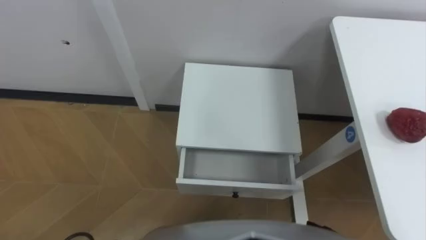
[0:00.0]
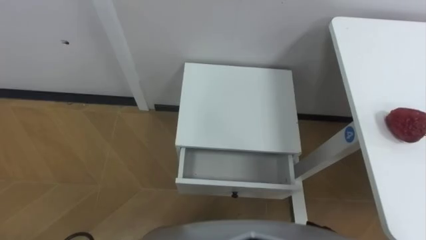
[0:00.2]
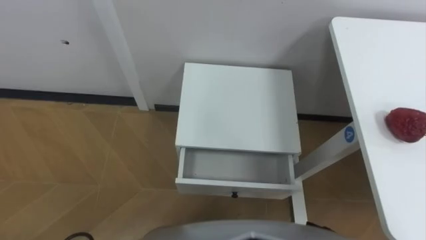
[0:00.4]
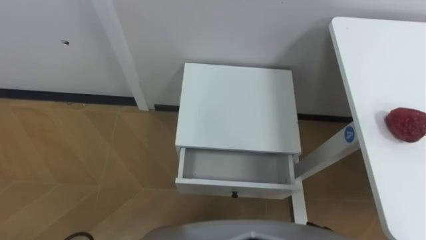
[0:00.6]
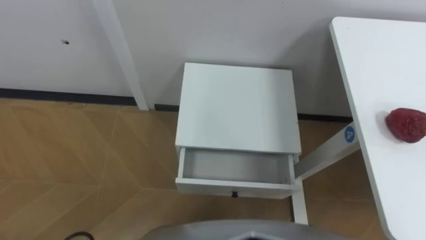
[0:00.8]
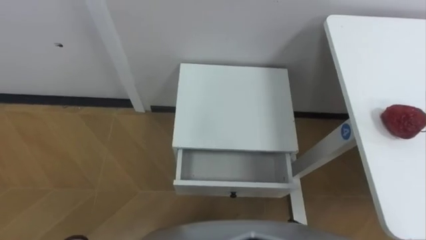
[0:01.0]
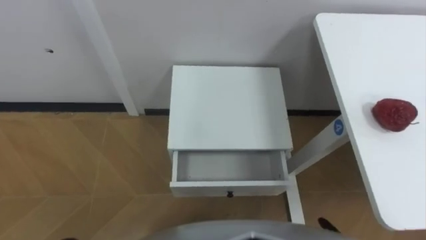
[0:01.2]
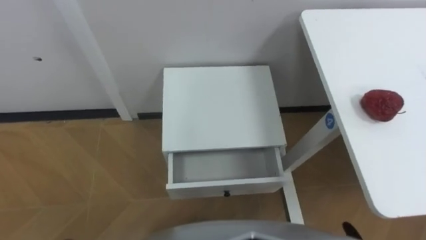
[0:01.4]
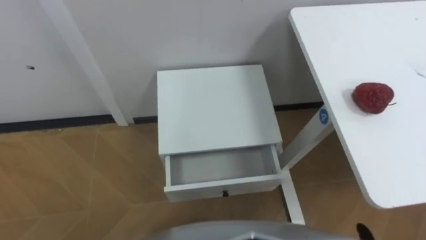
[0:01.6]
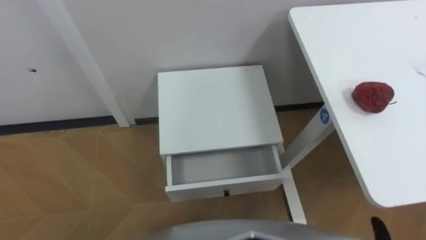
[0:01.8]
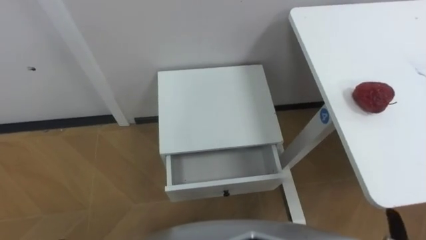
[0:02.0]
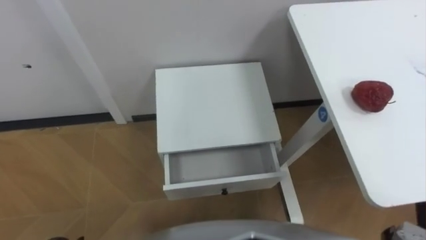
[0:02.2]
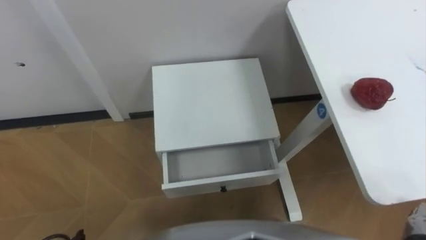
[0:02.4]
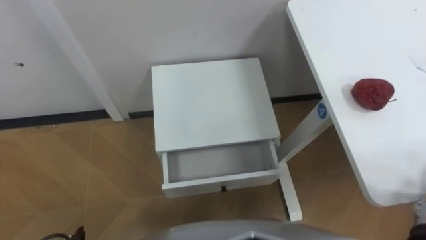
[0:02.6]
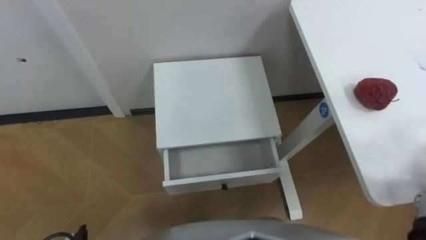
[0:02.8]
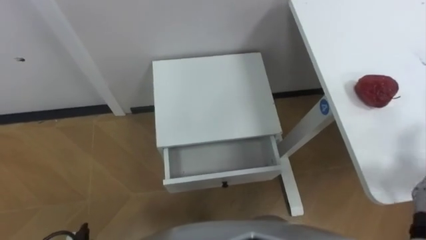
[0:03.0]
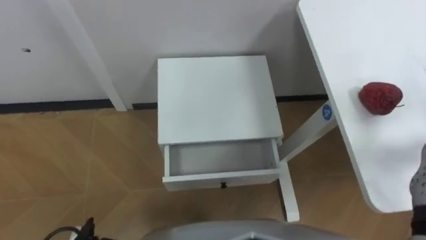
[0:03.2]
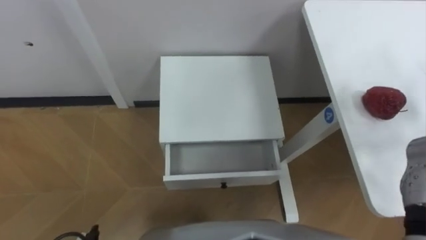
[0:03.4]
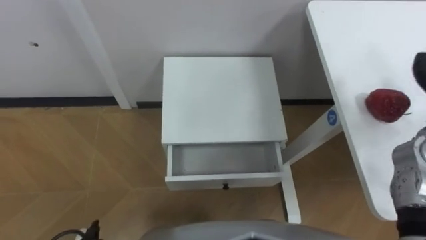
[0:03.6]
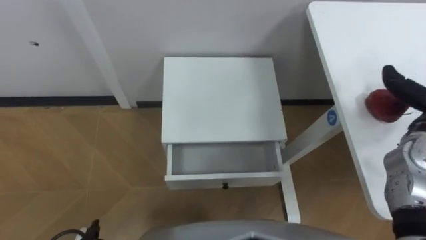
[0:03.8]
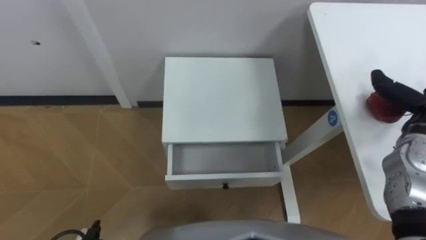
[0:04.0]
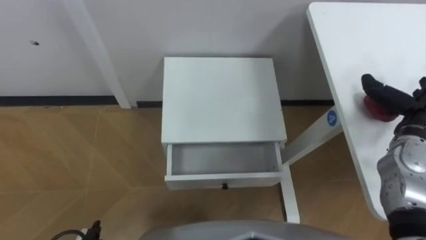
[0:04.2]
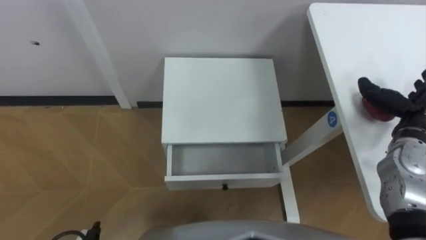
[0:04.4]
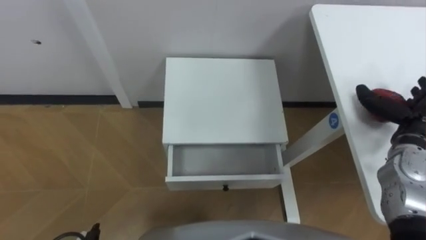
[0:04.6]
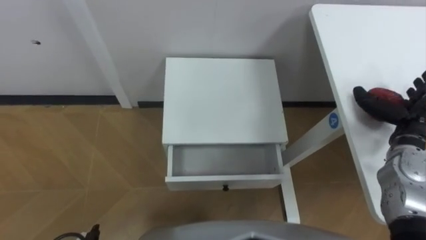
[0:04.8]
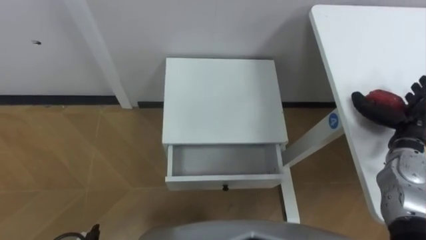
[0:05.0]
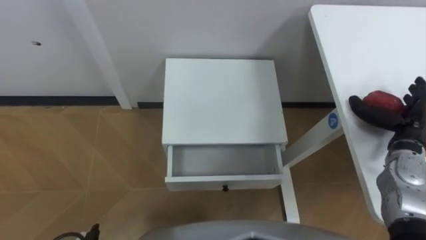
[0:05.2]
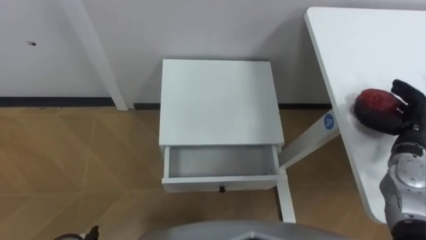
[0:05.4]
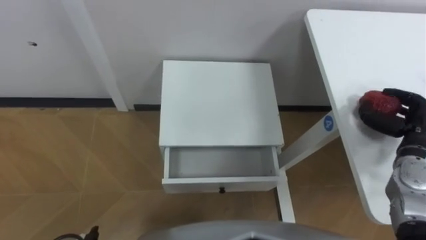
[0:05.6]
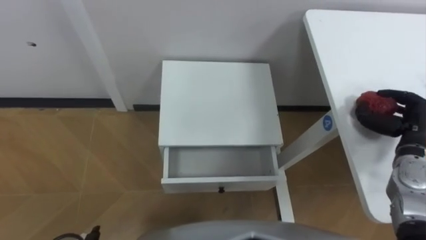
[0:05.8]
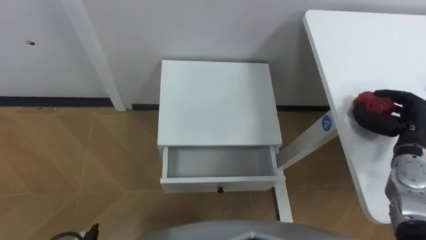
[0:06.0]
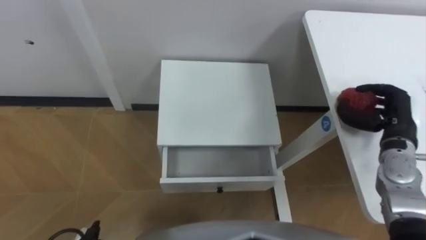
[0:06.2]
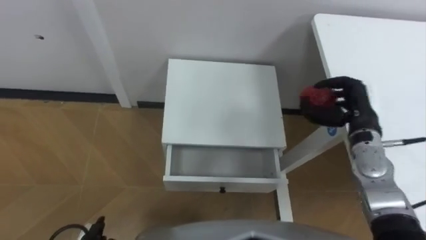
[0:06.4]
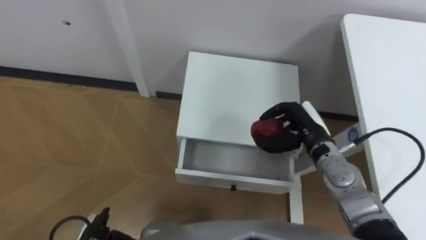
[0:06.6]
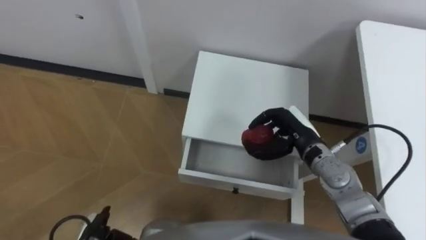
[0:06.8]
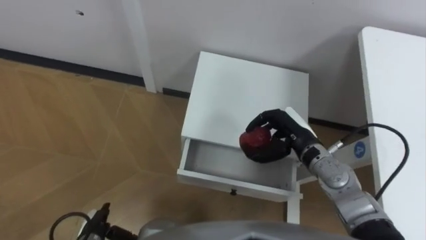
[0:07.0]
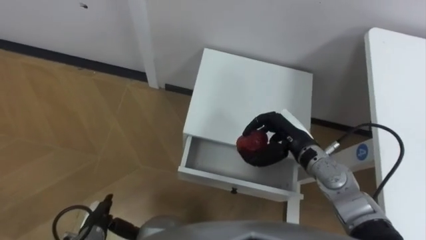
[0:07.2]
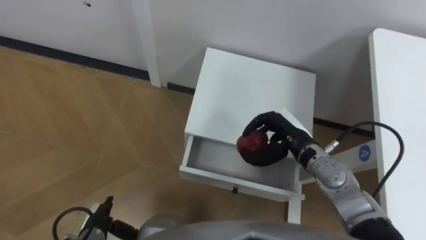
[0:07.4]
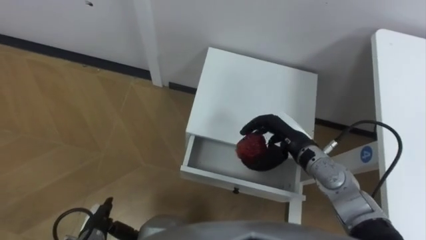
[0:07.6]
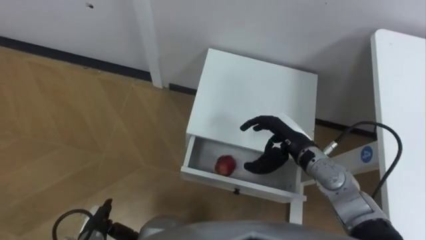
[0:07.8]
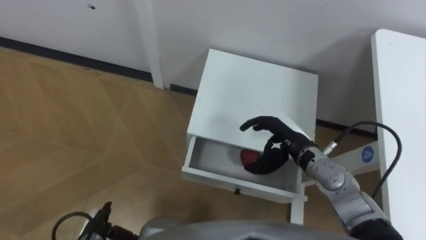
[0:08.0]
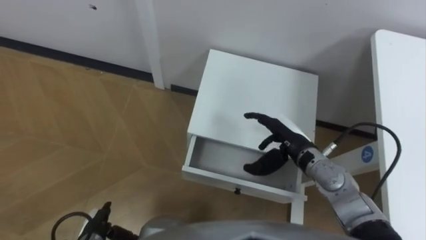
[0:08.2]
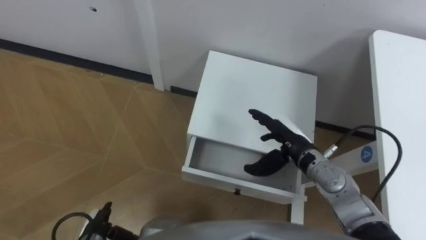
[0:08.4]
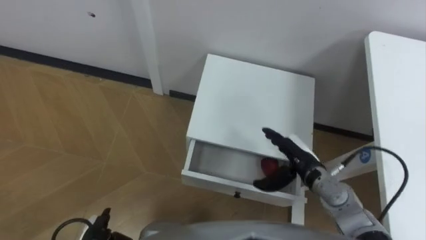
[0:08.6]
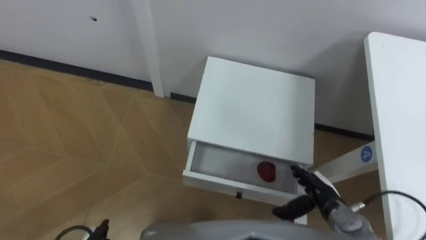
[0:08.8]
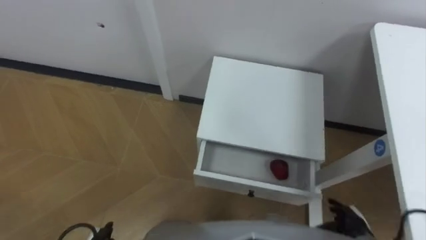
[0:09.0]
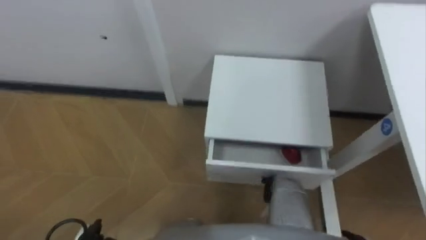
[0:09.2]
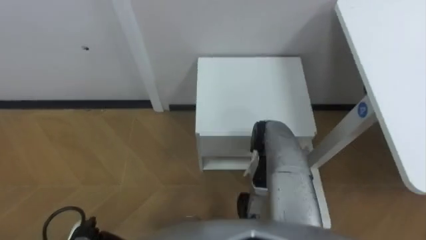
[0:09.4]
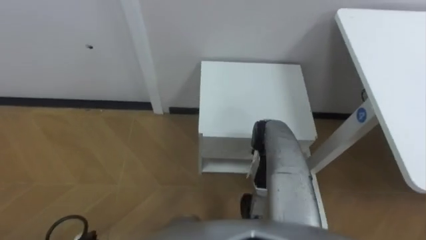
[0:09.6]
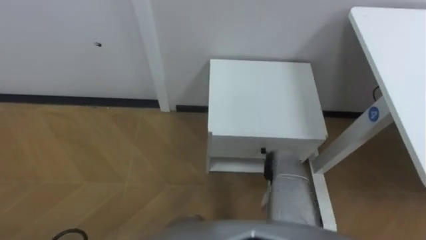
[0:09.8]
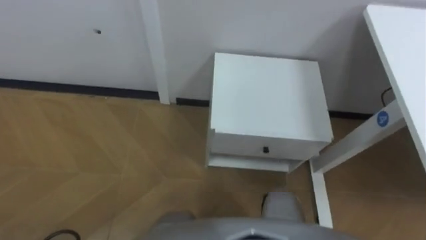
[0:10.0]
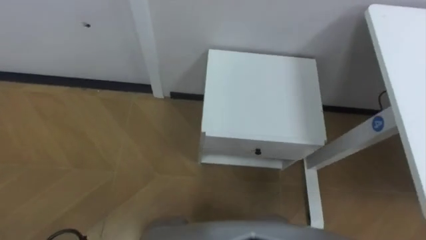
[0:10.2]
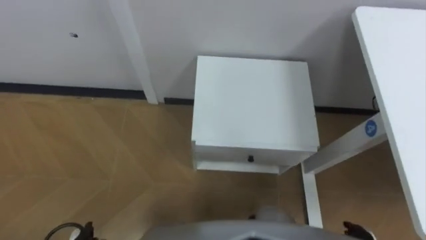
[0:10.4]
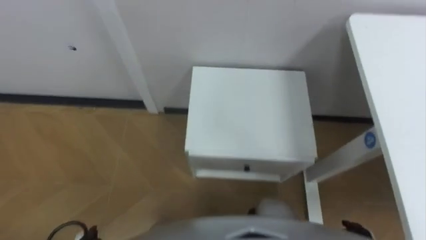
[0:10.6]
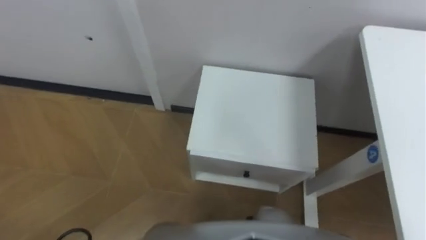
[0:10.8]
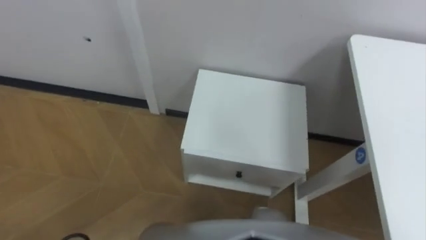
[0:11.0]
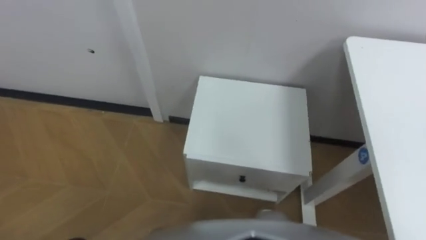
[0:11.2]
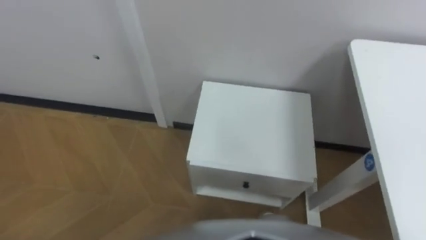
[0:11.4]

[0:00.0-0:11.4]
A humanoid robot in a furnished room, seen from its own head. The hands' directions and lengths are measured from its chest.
Task of the whole recording: Pick up the apple from the table, put it in the drawer, and close the drawer with leg.
0:04.2 to 0:05.6: The right hand closes.
0:05.6 to 0:07.2: The right hand travels to the left by approximately 20 cm.
0:07.2 to 0:08.6: The right hand moves some 5 cm, and opens up.

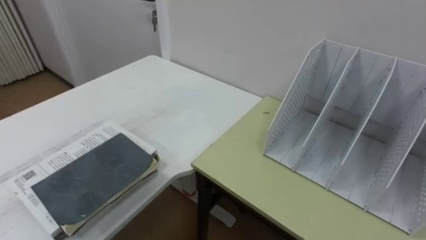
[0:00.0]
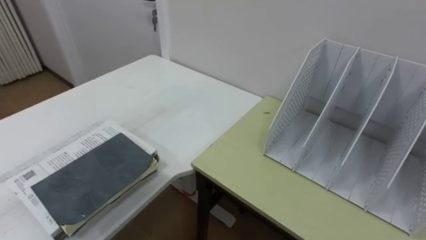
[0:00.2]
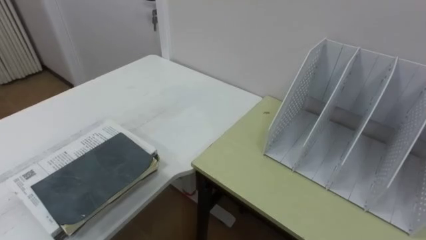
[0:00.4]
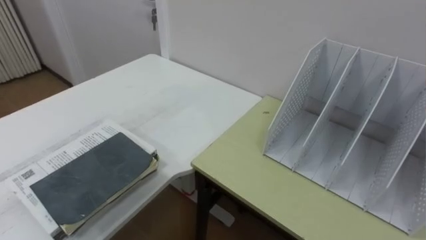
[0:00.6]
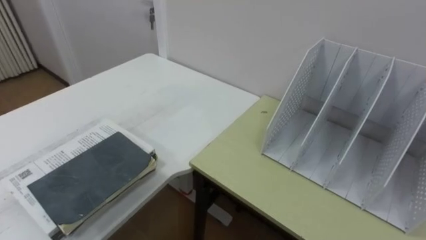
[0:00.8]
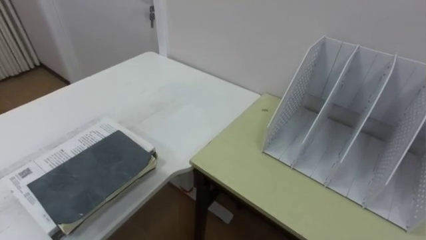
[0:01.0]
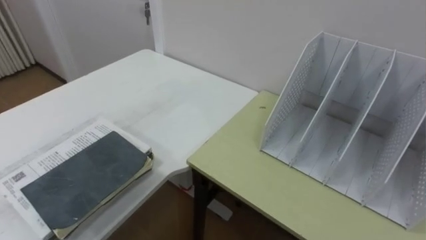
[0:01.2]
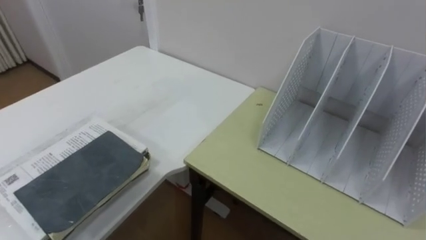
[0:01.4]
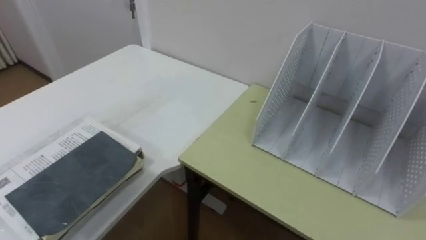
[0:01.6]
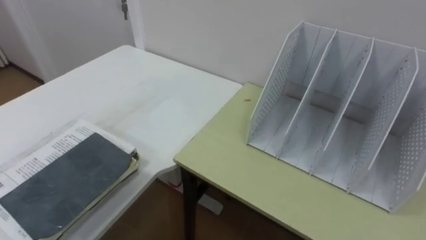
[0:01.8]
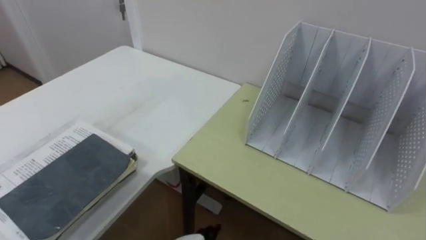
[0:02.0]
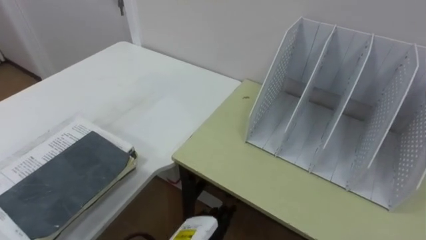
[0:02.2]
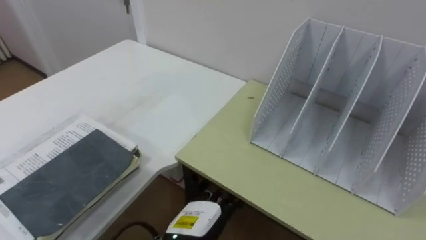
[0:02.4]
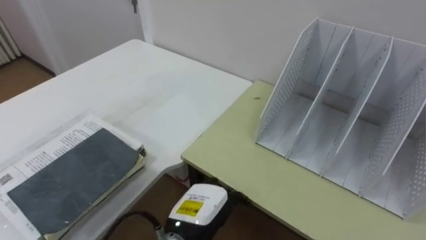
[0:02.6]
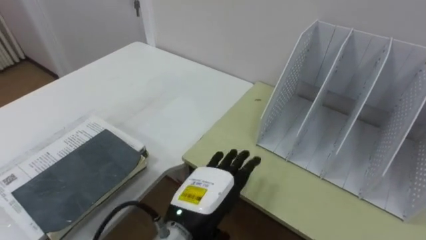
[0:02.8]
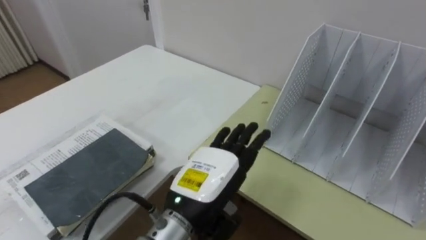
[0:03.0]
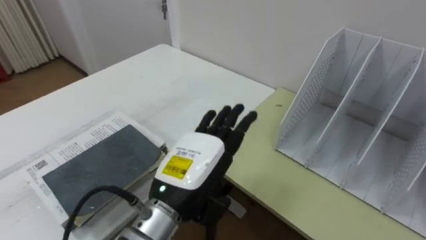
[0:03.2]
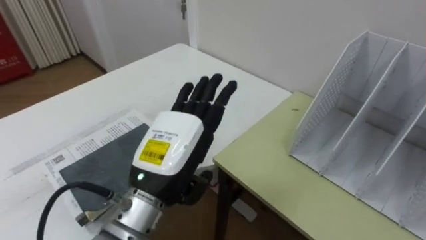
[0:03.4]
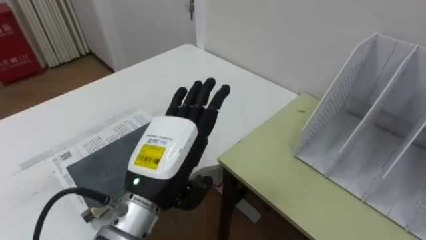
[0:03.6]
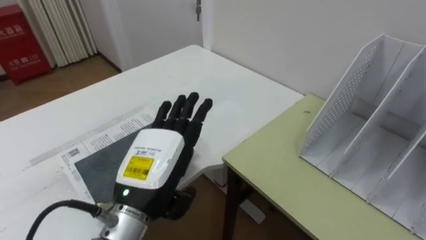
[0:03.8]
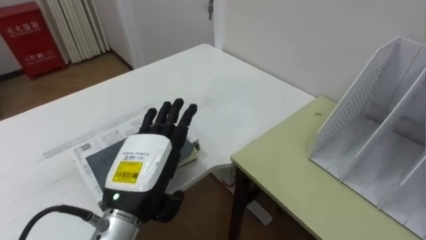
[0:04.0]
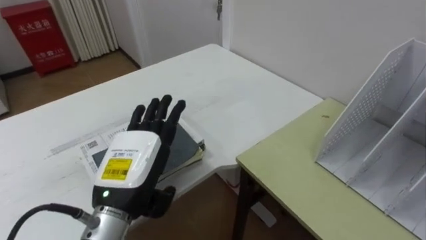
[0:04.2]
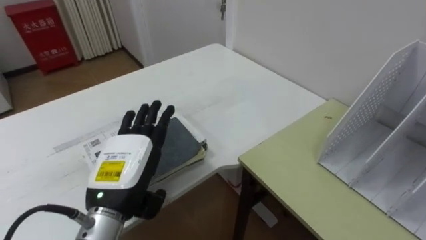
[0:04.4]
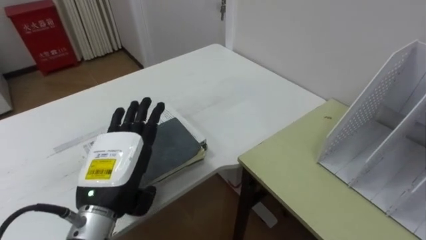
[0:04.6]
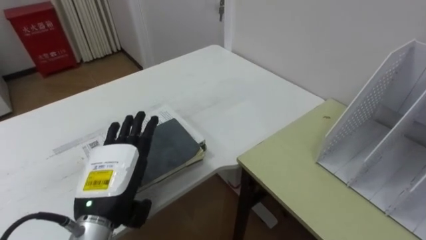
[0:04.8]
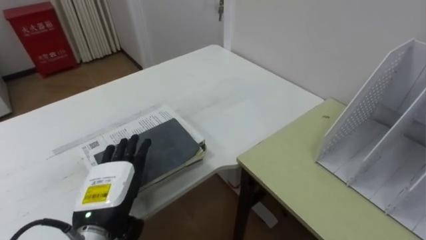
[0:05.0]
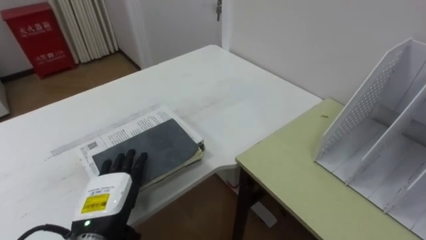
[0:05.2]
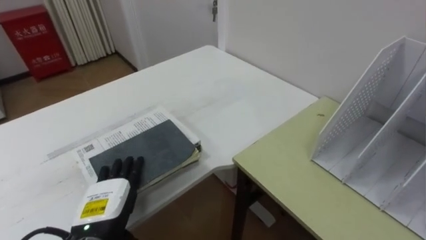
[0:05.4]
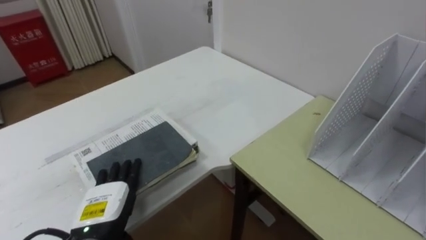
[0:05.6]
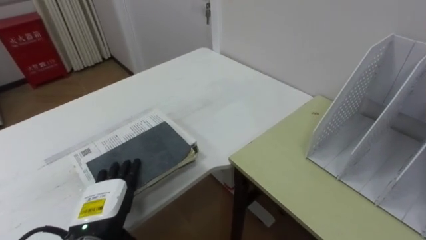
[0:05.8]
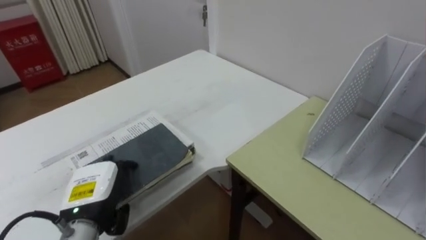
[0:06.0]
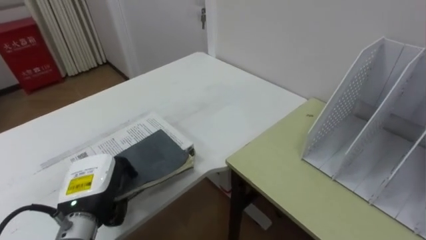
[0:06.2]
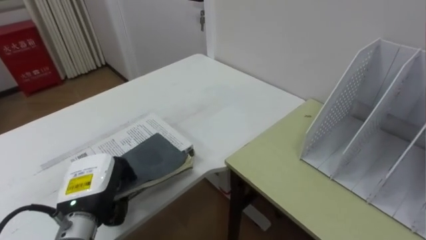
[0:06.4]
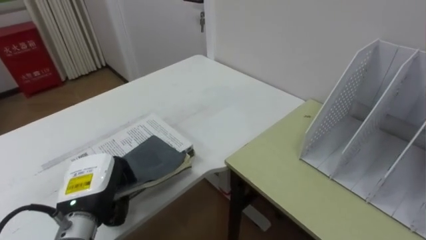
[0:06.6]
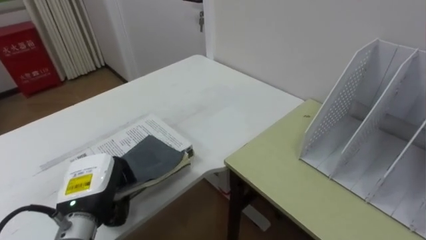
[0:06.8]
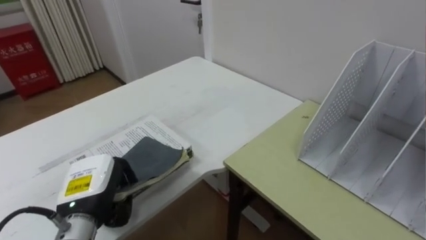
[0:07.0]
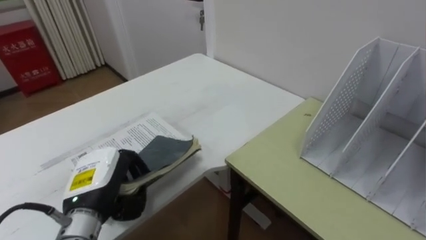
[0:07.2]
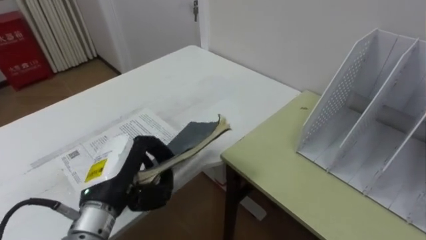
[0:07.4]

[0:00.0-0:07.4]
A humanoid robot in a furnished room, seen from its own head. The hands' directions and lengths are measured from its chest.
Task of the whole recording: Put the books on the table onto the bookshelf.
0:03.0 to 0:04.4: The left hand goes approximately 10 cm to the left.
0:04.4 to 0:06.0: The left hand travels downward and to the left by roughly 10 cm.
0:06.0 to 0:07.4: The left hand moves upward, some 5 cm, and closes its fingers.
